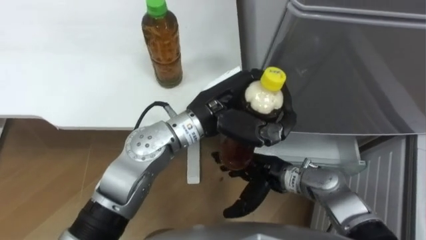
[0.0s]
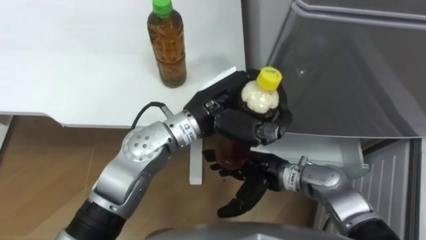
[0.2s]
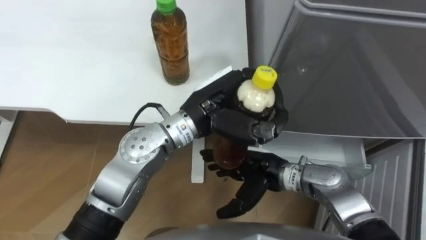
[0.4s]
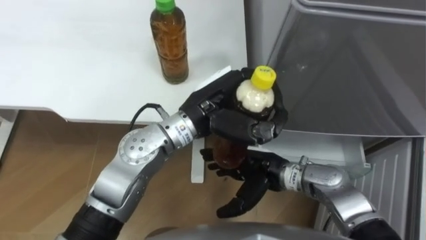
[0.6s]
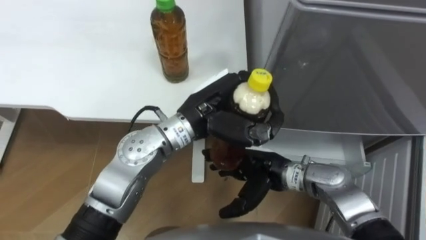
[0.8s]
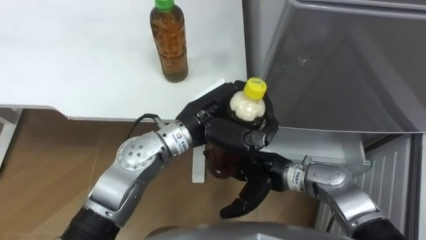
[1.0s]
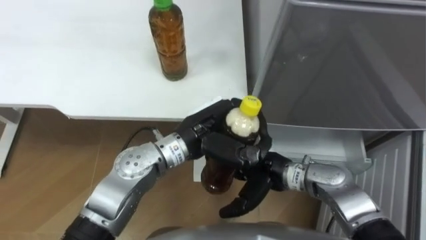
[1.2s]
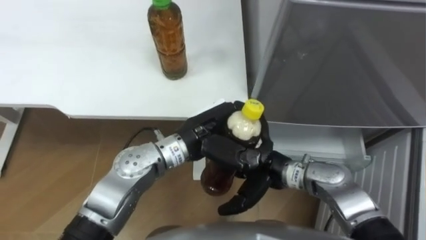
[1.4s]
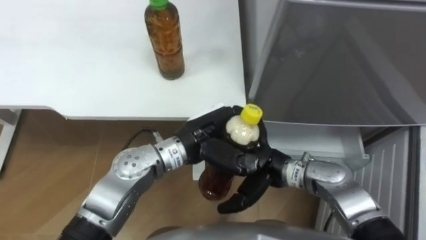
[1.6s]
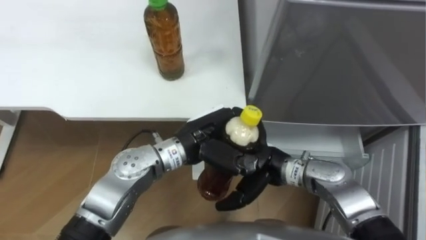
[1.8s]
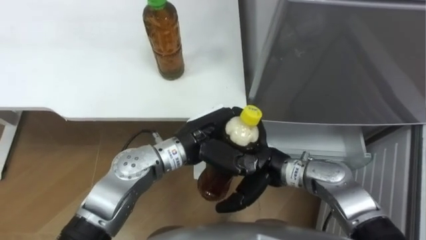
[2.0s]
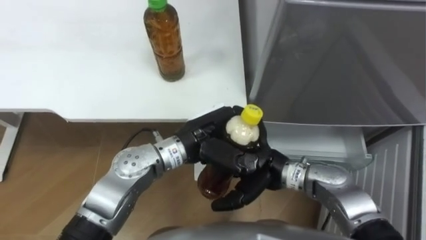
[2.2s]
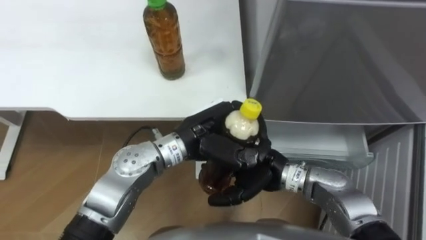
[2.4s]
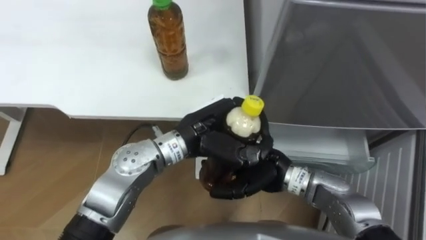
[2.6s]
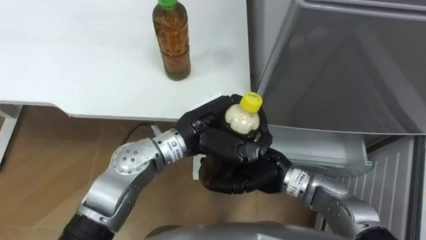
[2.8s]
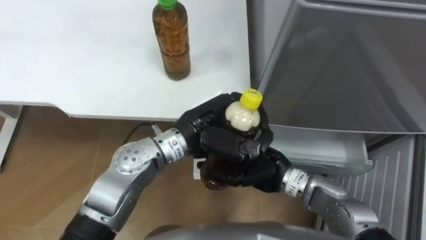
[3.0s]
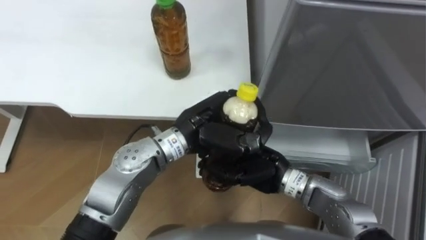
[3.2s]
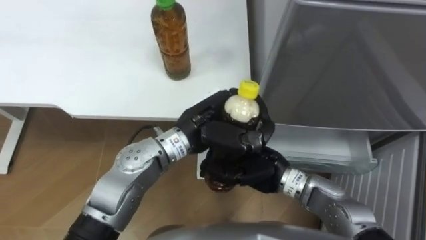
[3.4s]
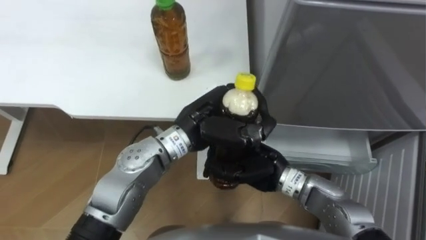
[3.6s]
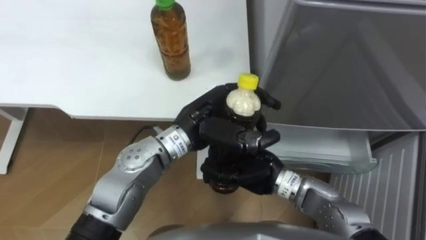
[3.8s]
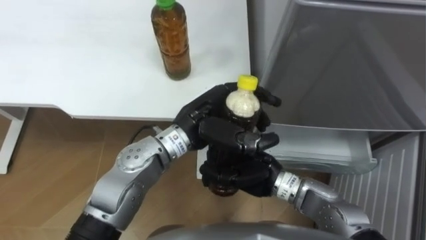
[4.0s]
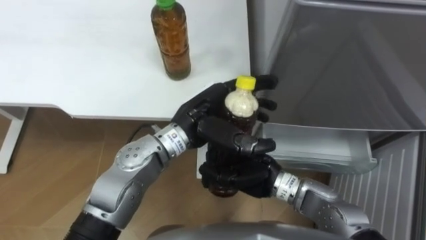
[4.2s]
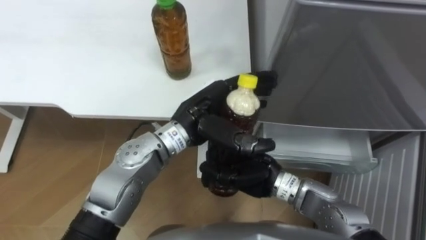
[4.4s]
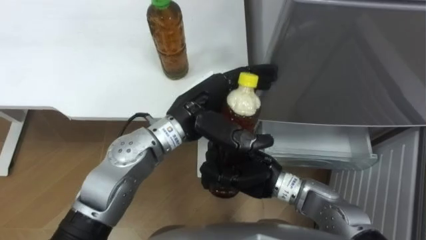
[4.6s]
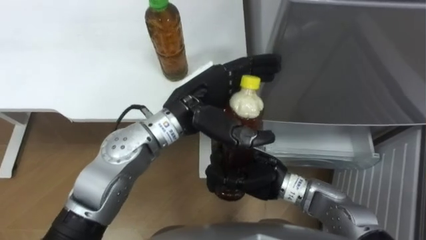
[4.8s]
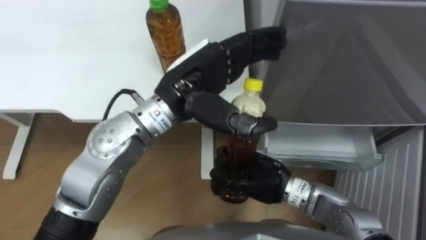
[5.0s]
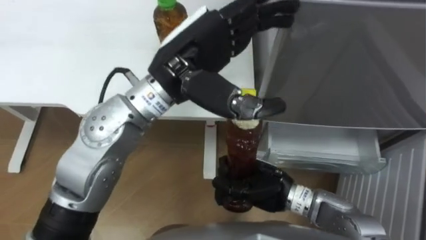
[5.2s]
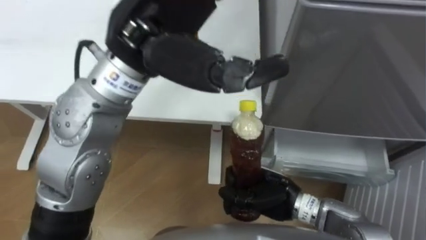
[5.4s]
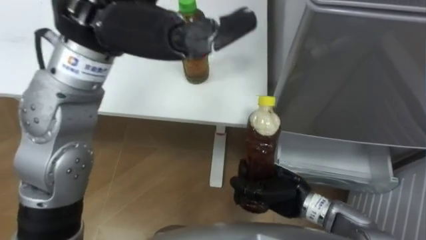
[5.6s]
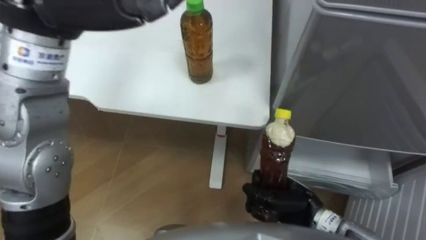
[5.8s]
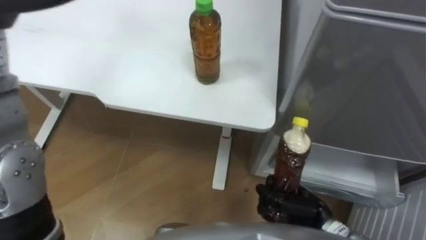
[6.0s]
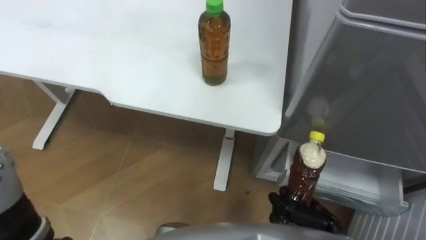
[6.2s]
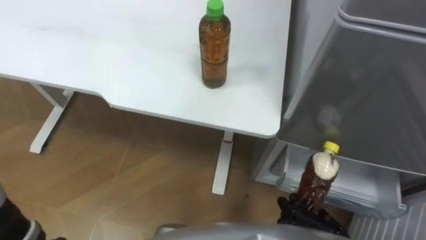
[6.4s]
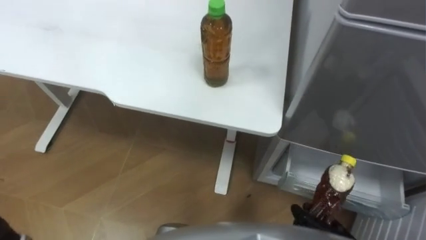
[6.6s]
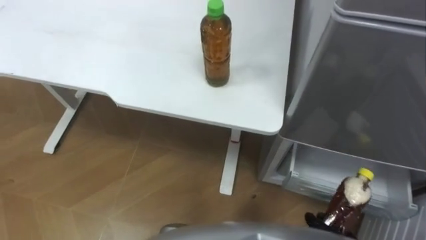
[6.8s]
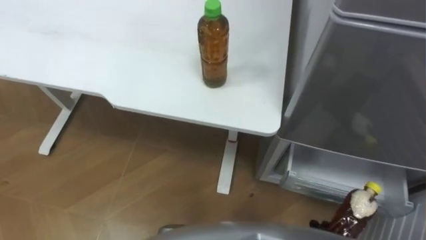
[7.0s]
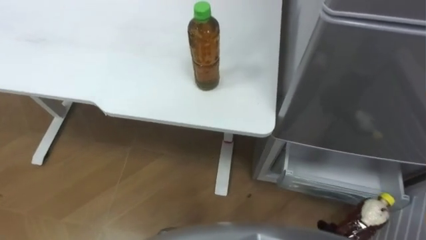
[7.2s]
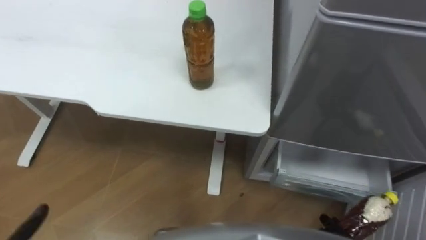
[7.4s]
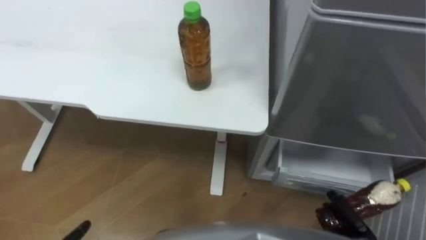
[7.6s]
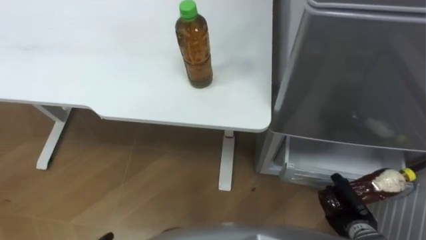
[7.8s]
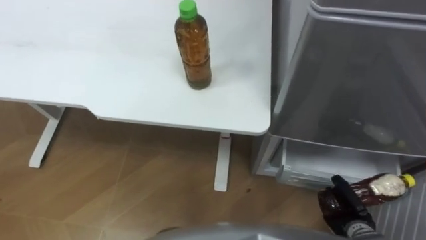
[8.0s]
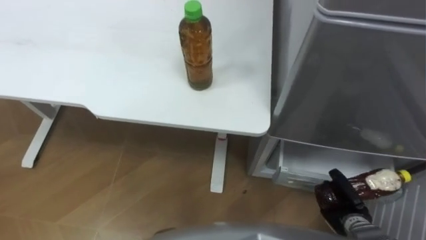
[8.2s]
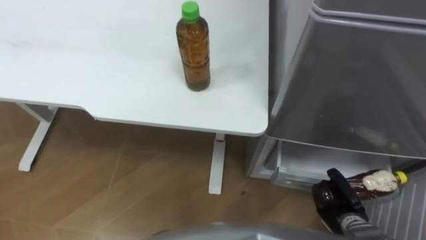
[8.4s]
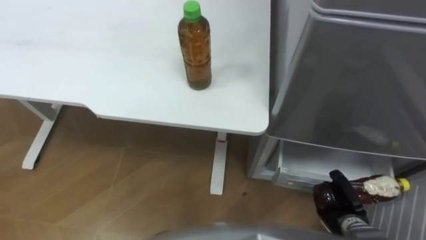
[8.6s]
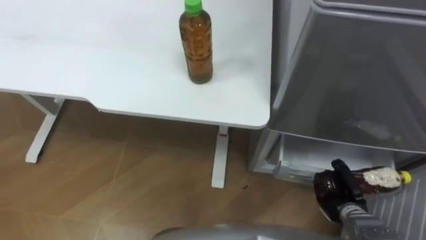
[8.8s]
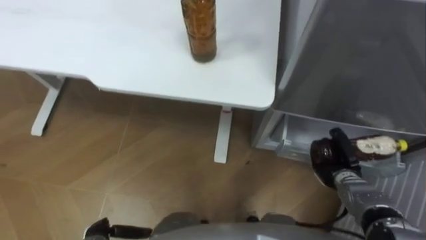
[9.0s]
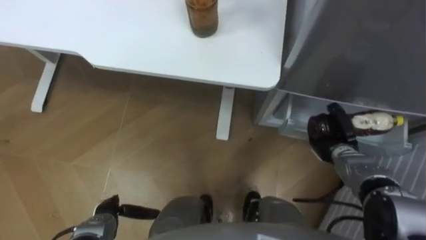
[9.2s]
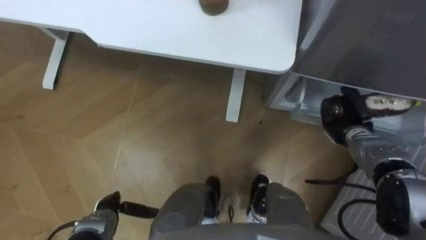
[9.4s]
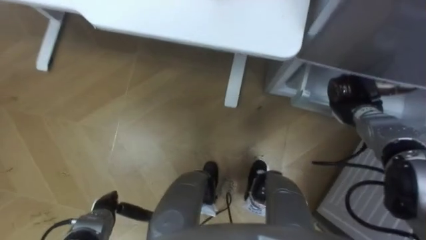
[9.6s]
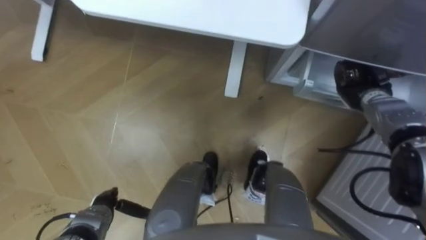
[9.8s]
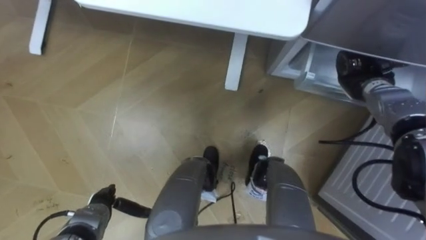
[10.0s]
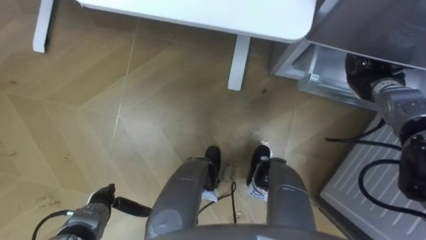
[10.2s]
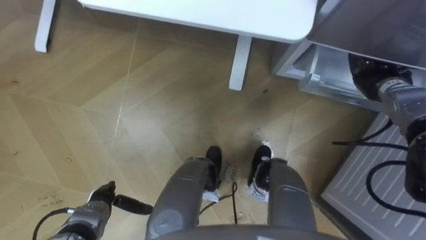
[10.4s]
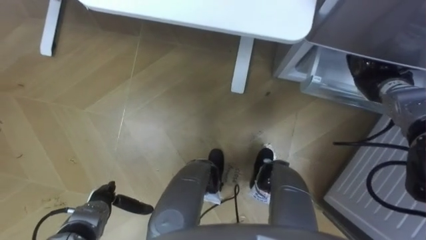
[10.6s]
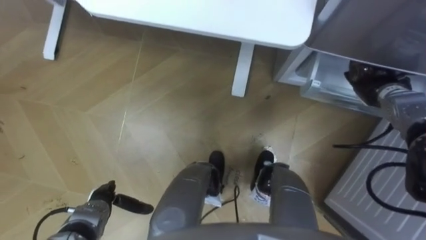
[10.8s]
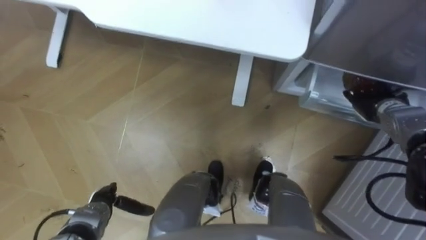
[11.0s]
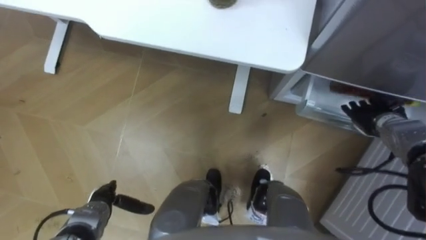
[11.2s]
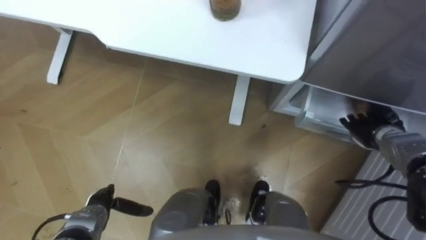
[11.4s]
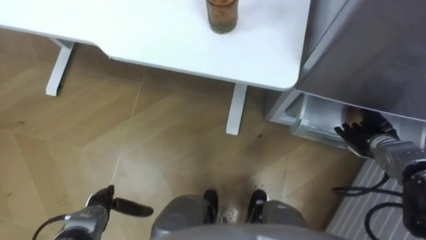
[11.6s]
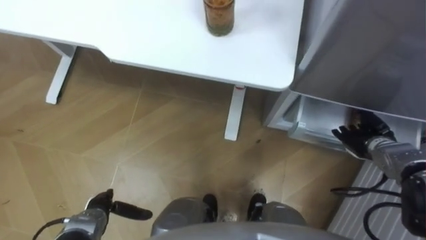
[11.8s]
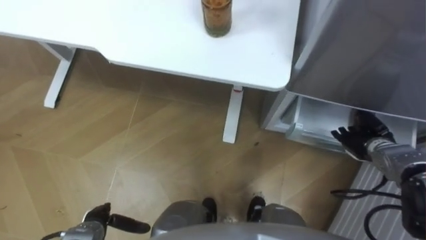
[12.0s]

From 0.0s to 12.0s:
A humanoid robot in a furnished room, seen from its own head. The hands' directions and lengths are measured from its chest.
Task of the whole recording: Place the drink on the table on the bottom shelf of the refrigerator, then close the drawer and the refrigerator door.
From 0.0s to 1.6s: The left hand shifts some 5 cm downward.
From 3.0s to 4.4s: The right hand closes its fingers. The left hand opens.
From 4.4s to 6.0s: The right hand is displaced to the right, downward and backward by some 15 cm.
From 7.6s to 9.0s: The right hand travels forward by about 15 cm.
From 9.0s to 10.4s: The right hand heads forward and upward, covering roughly 20 cm, and opens its fingers.
From 10.4s to 12.0s: The right hand travels backward and downward by approximately 15 cm, and opens its fingers.

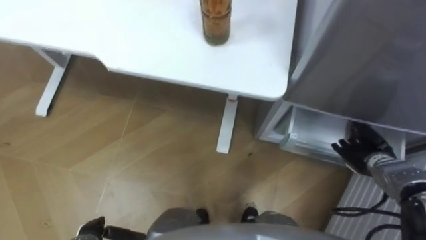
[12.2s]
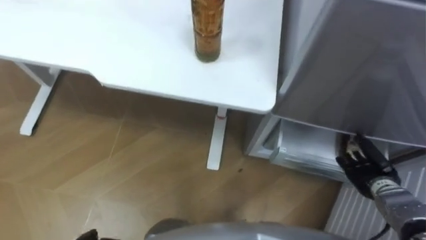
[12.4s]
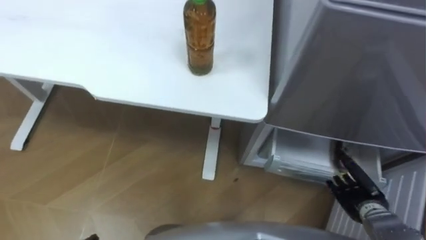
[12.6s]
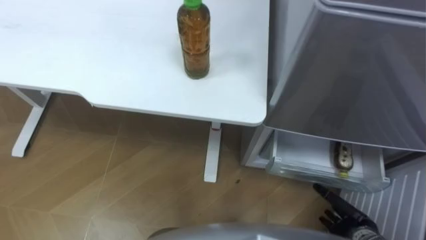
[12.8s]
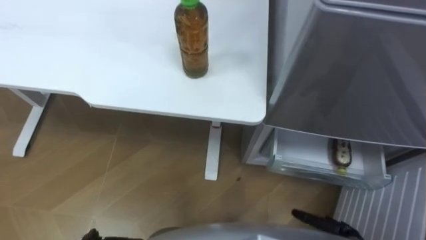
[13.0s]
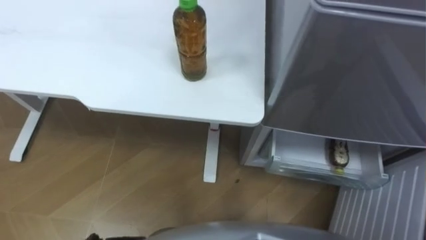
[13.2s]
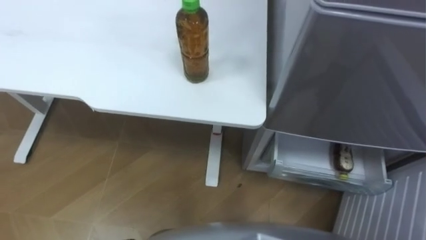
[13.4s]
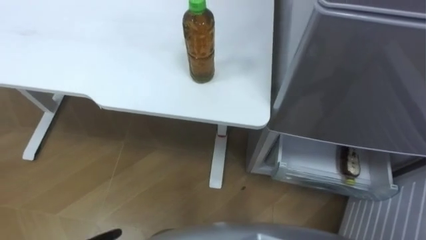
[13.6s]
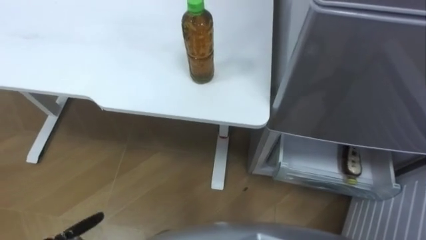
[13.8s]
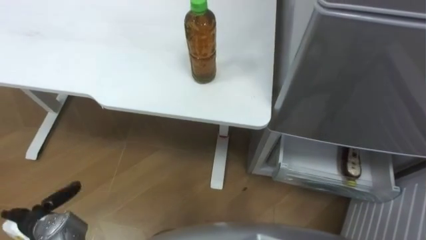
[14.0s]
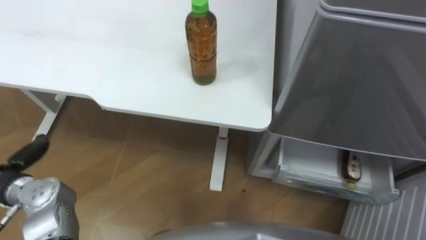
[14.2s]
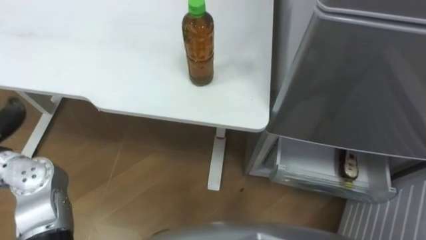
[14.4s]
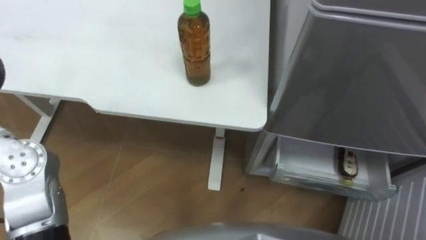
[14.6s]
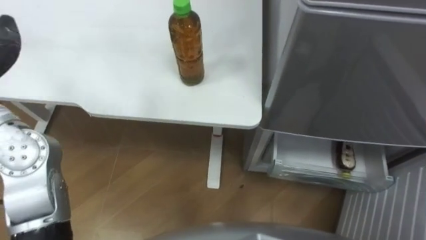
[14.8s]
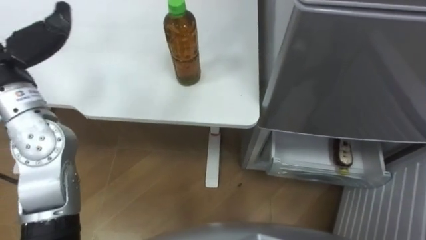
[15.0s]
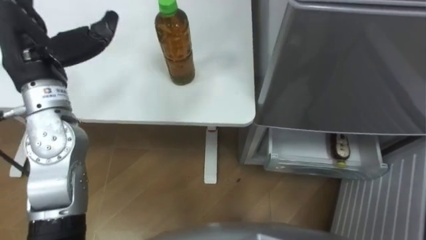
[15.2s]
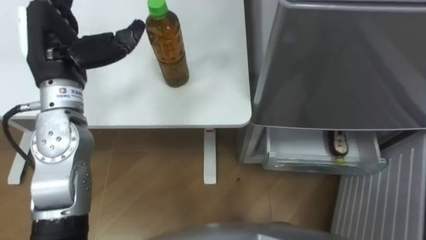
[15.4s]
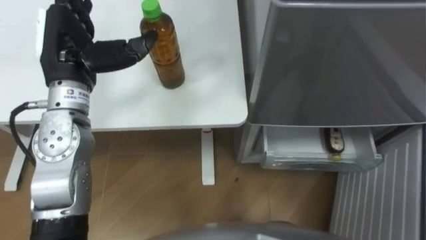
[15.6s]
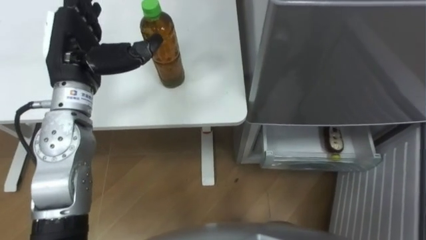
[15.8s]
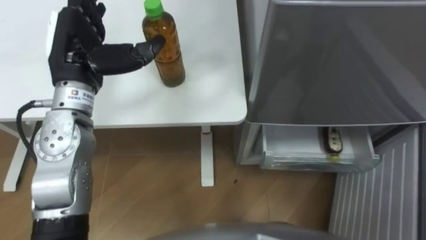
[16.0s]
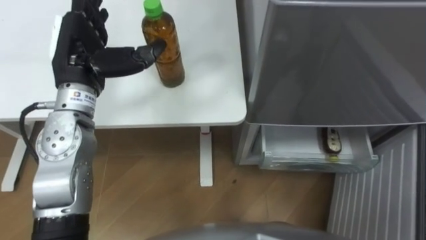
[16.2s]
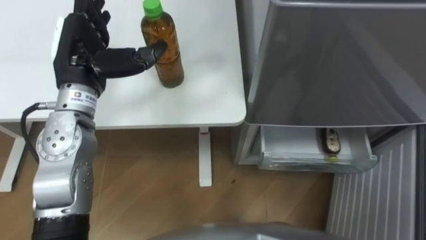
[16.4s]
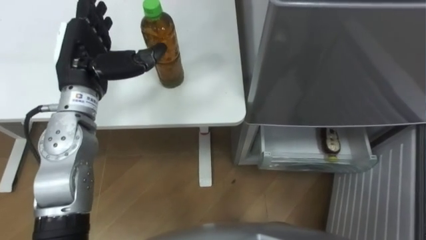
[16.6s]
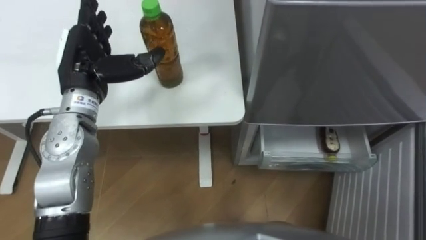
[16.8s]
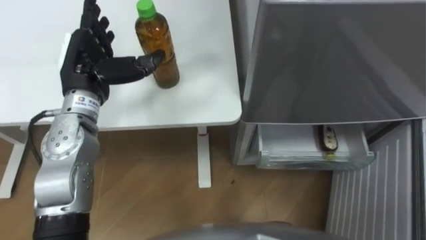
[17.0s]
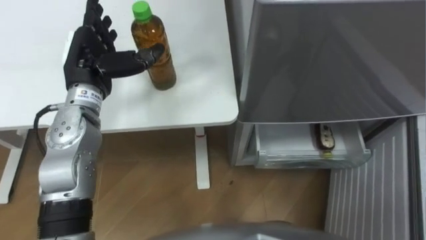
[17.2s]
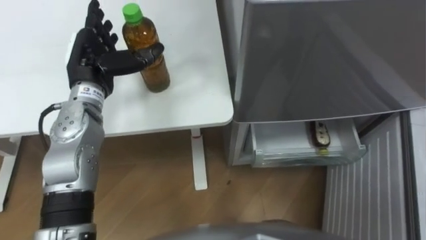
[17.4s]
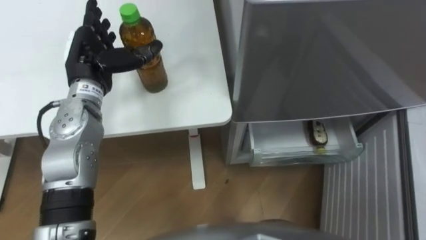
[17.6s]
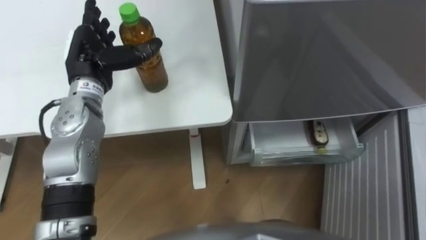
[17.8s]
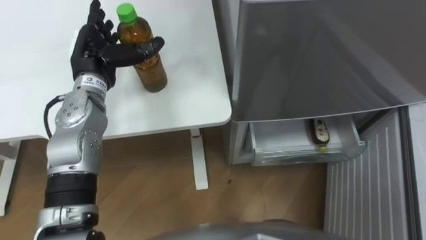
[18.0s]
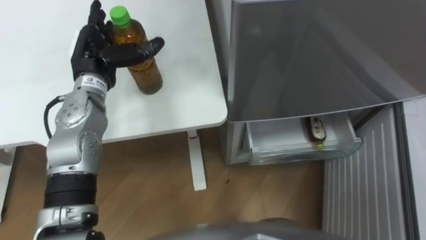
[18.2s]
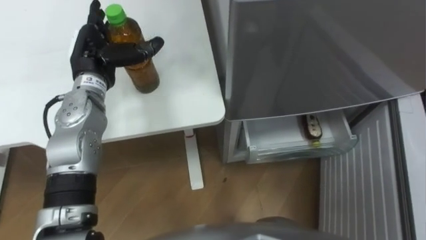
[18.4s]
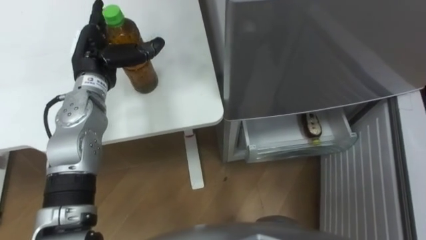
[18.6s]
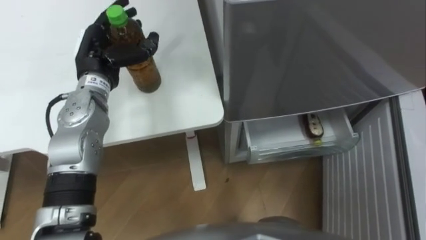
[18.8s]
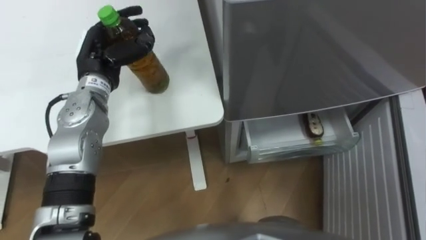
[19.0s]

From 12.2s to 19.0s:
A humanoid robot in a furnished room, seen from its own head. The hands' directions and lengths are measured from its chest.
Task of the whole recording: Place the drink on the table on the bottom shelf of the refrigerator, then close the drawer and the refrigerator door.
From 16.2s to 17.6s: The left hand ends up some 5 cm from where it was.
From 17.6s to 19.0s: The left hand closes.
